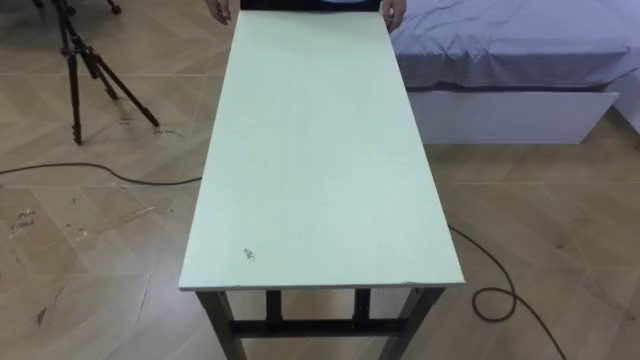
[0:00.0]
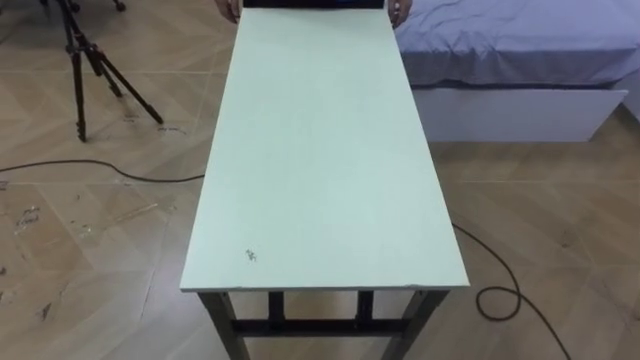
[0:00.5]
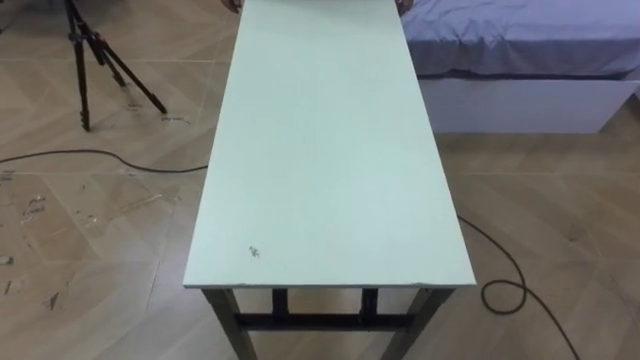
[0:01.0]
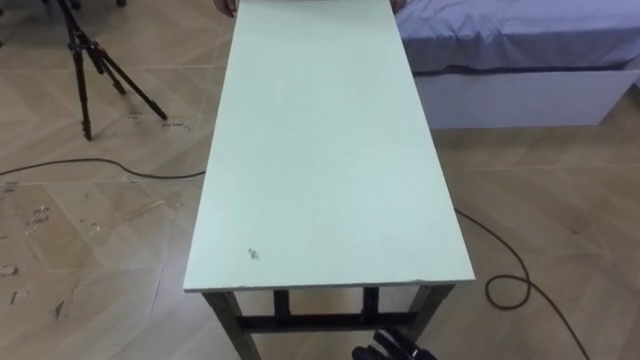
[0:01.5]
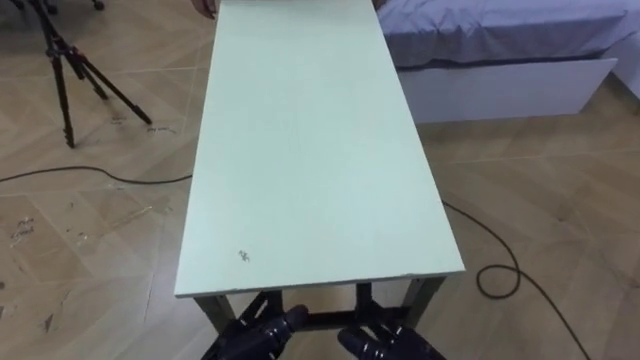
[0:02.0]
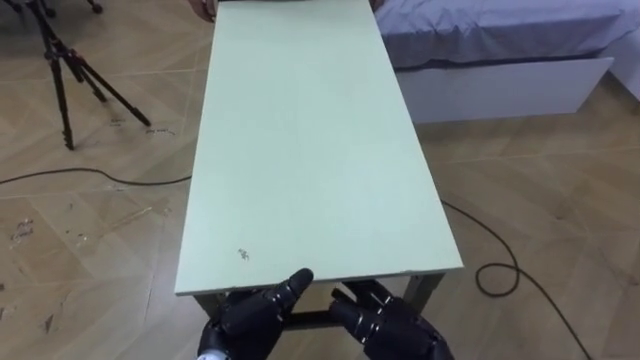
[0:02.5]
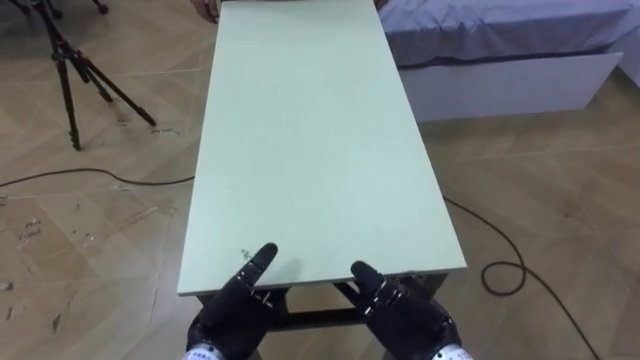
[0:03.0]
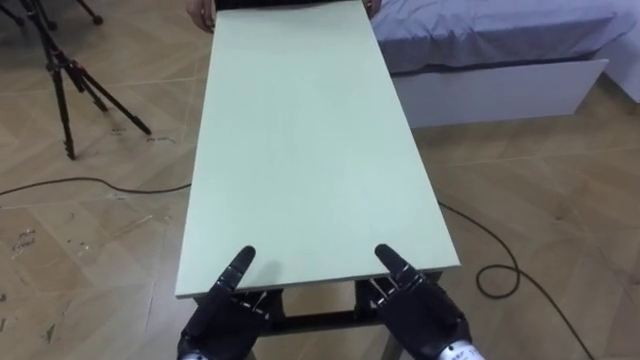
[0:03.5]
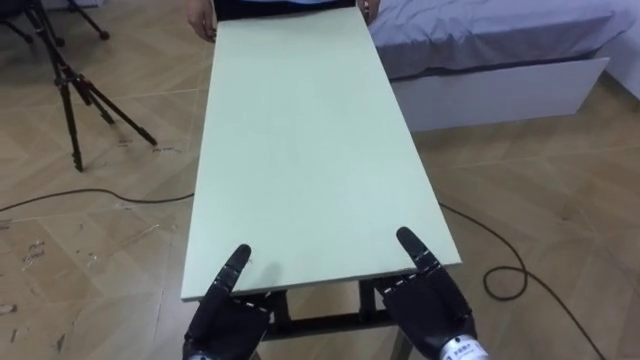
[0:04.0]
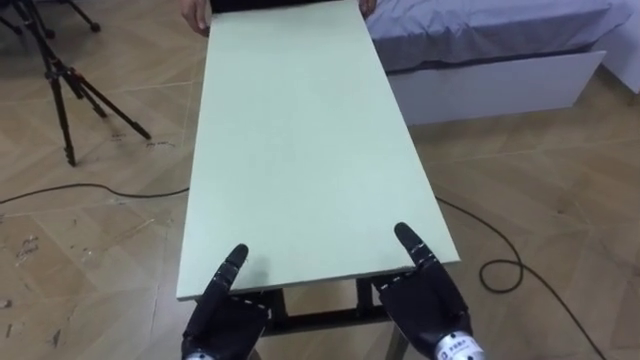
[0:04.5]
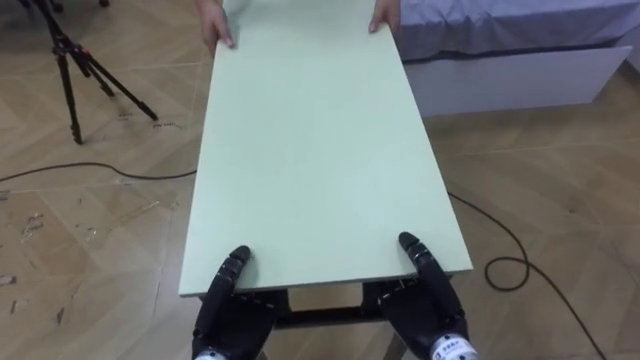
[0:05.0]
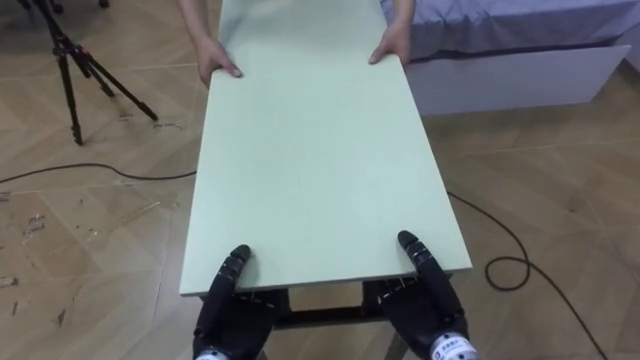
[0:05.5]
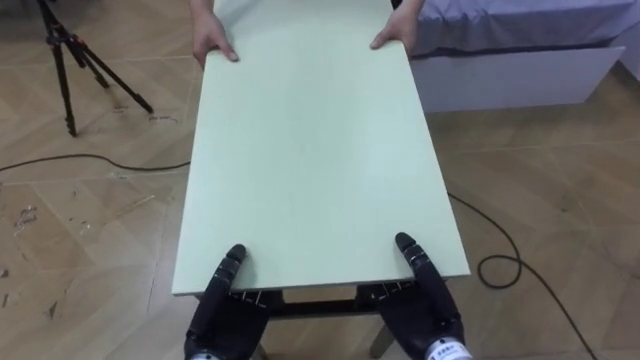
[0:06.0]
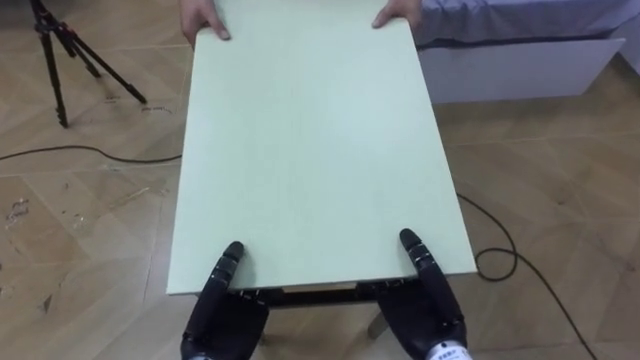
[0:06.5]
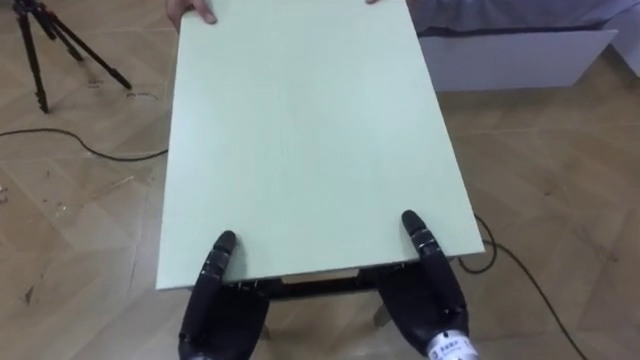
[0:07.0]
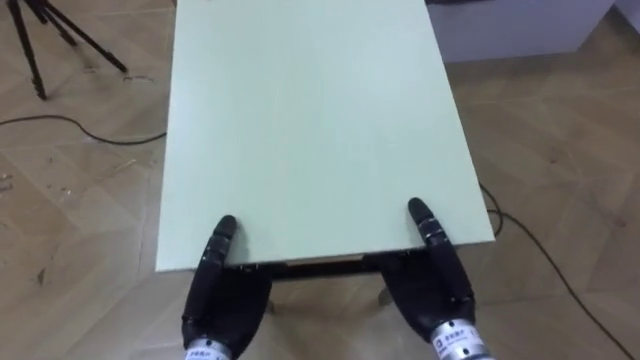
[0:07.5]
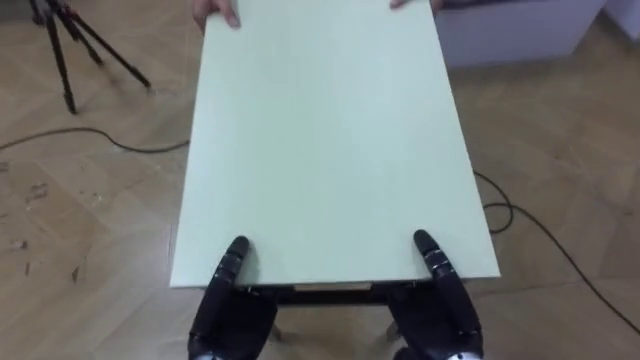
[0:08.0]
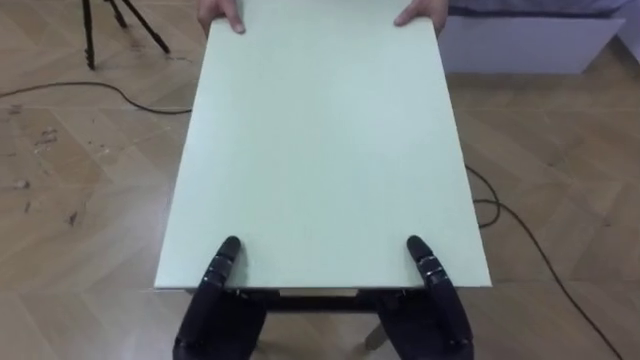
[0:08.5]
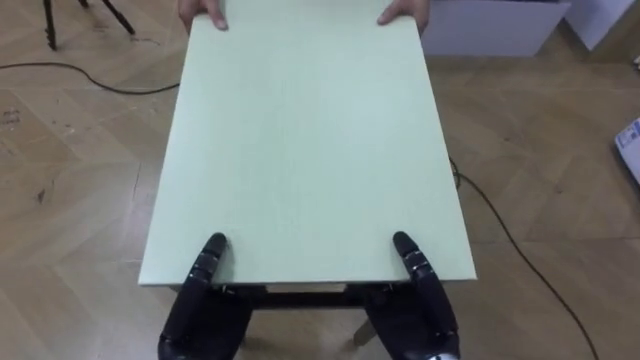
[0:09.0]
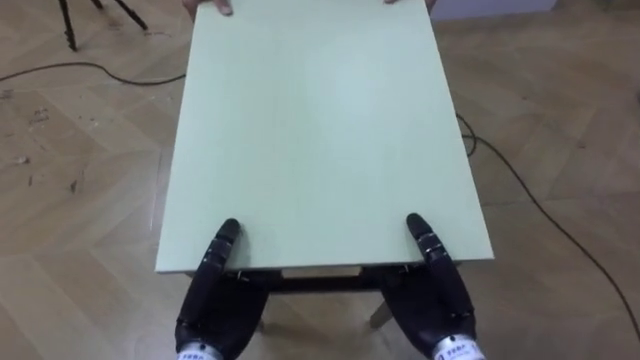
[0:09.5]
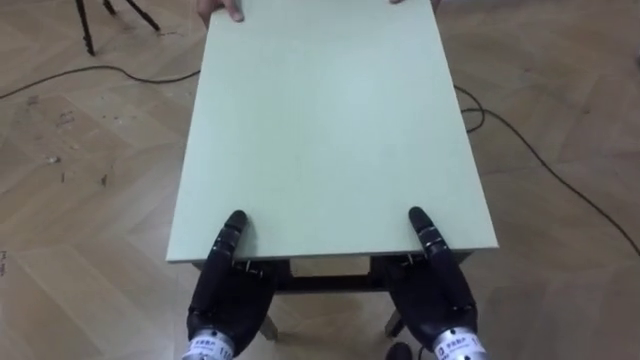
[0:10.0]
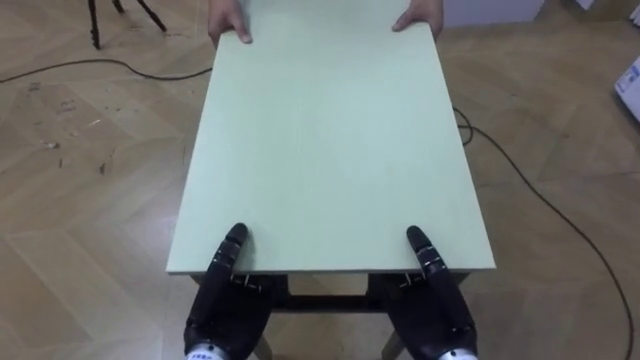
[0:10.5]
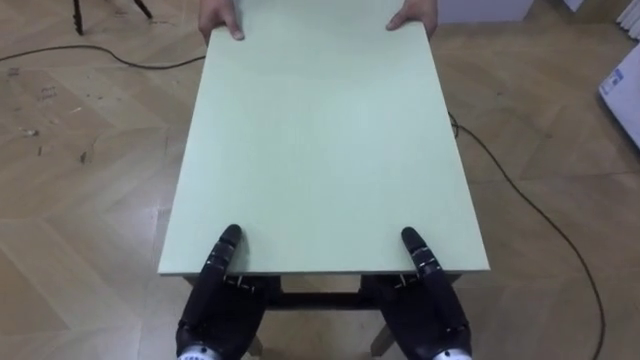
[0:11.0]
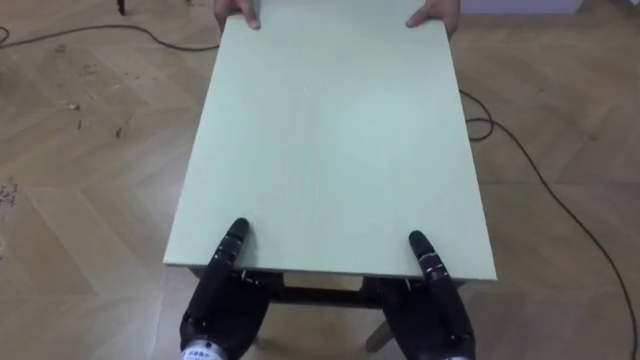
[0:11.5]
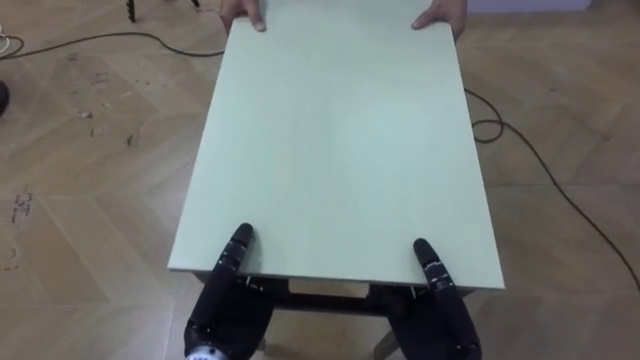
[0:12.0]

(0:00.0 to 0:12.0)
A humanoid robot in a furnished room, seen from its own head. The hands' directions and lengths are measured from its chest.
Task of the whole recording: Move the table to the back left with someone.
0:04.0 - 0:06.0: The left hand closes, while the right hand closes up.

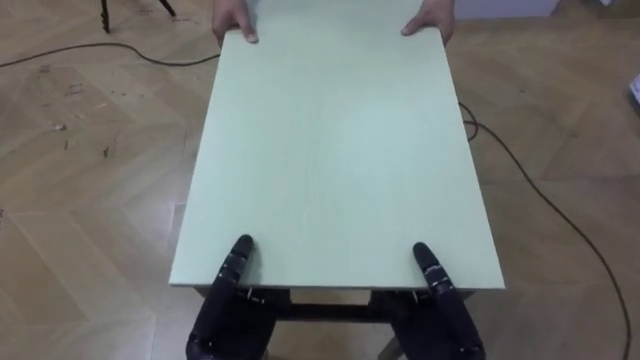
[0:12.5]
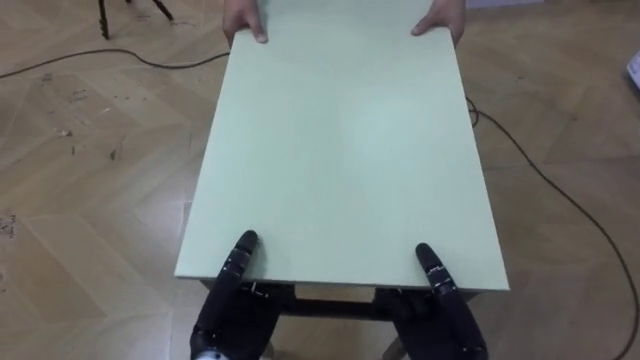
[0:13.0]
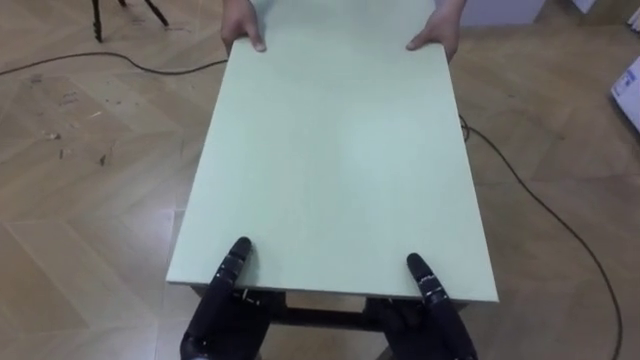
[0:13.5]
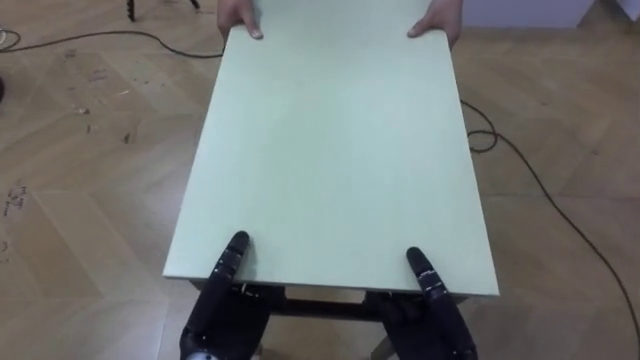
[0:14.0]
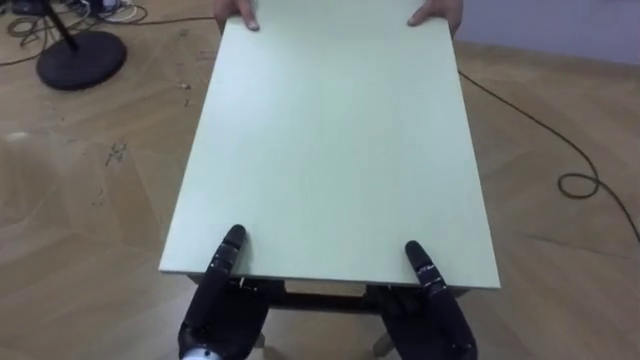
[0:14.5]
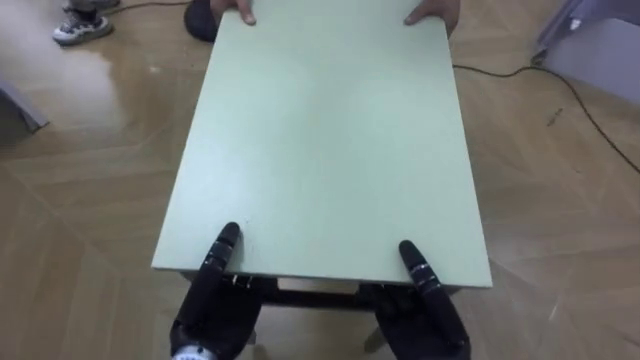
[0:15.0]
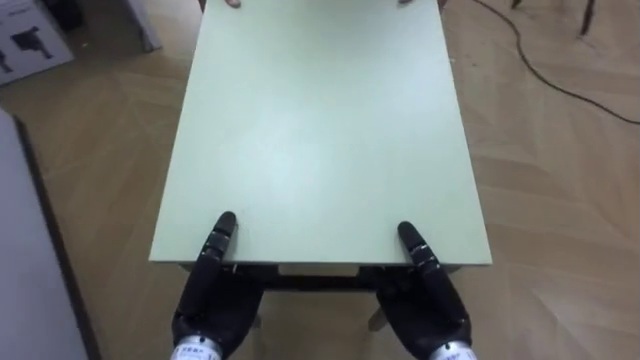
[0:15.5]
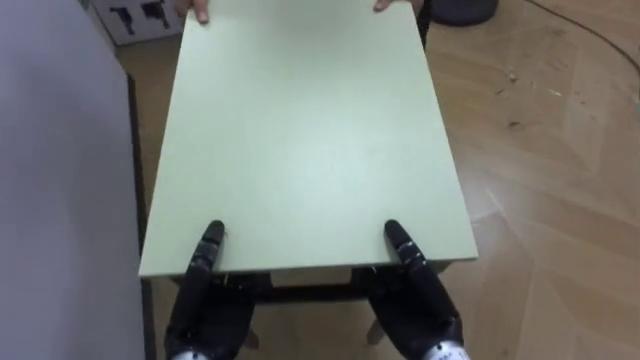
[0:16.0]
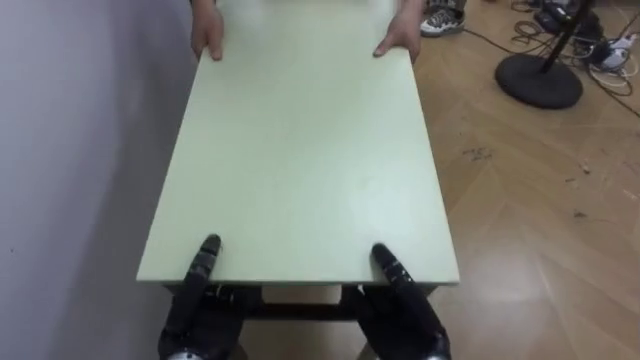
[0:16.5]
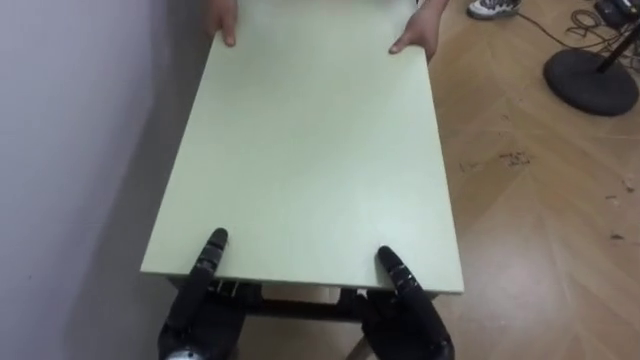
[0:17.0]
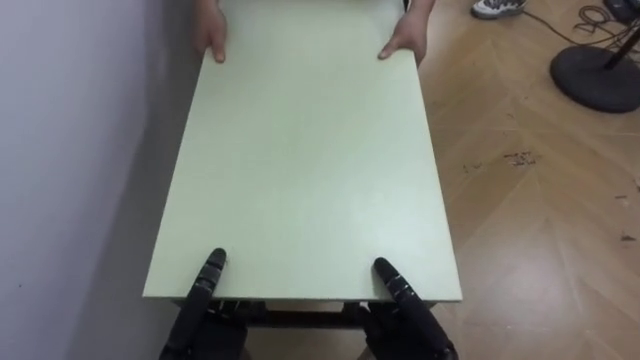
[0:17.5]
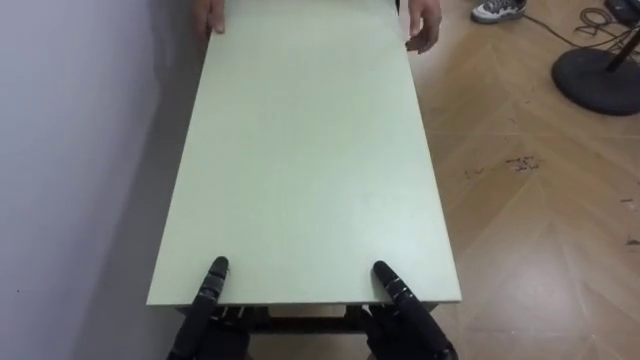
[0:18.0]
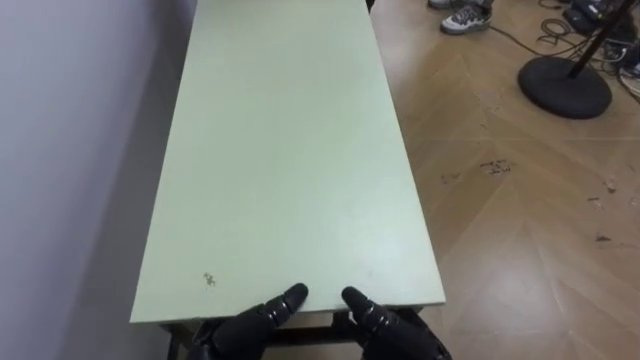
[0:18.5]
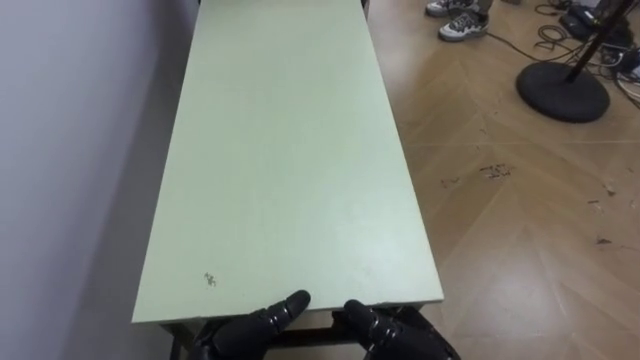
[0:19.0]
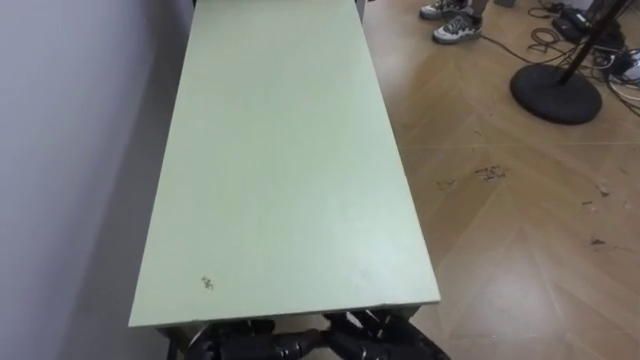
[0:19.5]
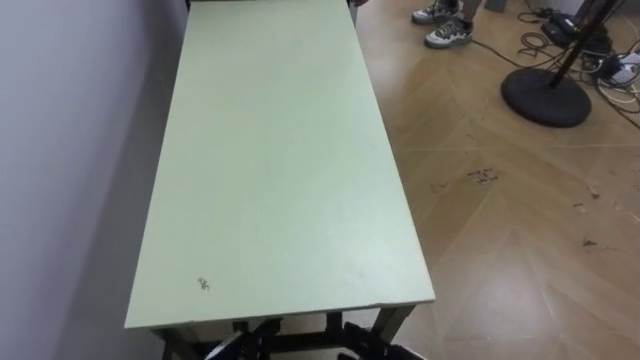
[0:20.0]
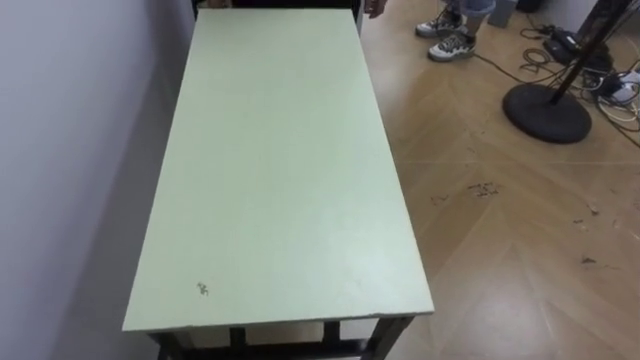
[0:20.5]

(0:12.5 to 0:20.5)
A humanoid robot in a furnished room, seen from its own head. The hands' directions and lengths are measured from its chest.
Task of the whole recording: Move the table to the back left with someone.
0:12.5 - 0:14.5: The robot rotates about 20 degrees to its left.
0:14.5 - 0:16.5: The robot rotates roughly 75 degrees to its left.
0:16.5 - 0:18.5: The right hand opens; the left hand opens its fingers.
